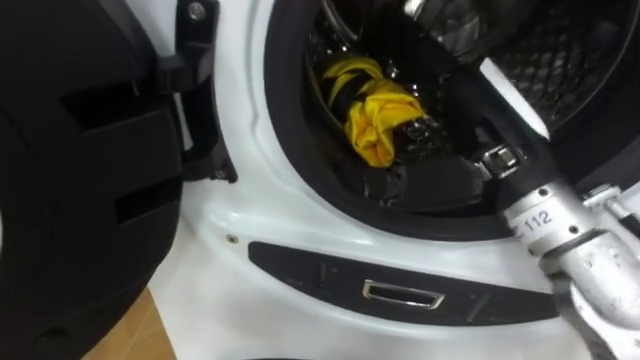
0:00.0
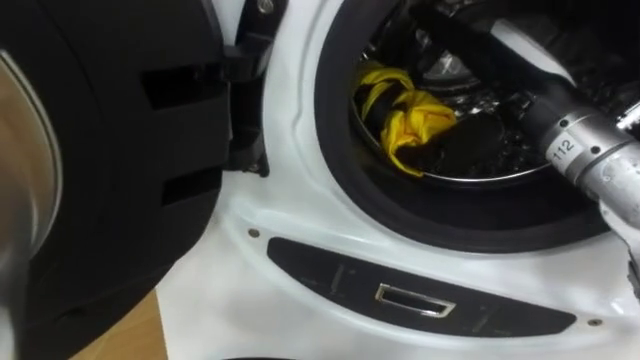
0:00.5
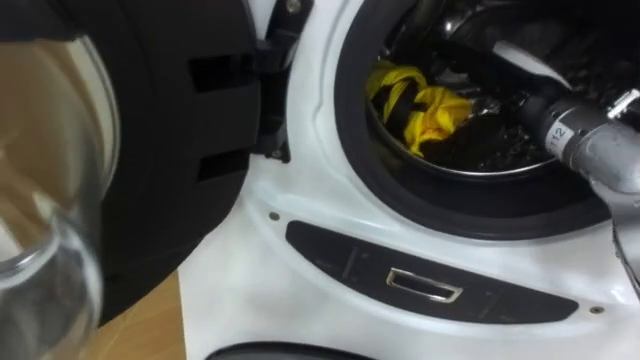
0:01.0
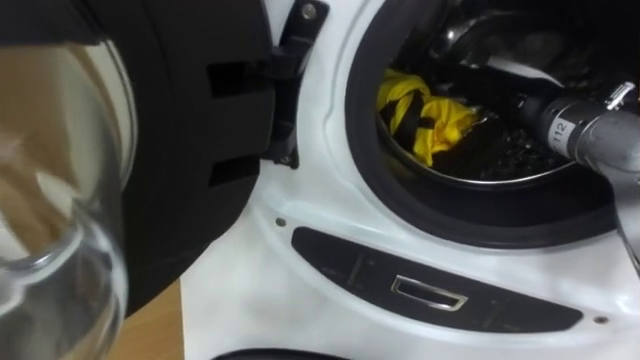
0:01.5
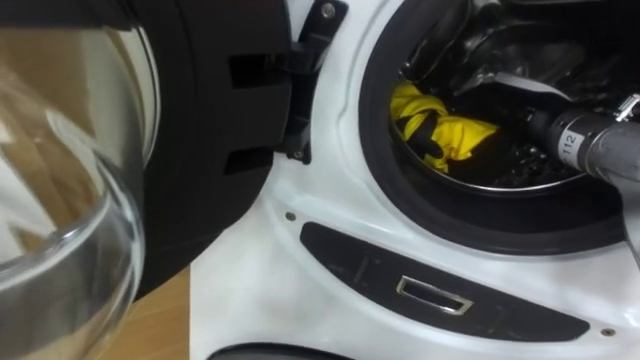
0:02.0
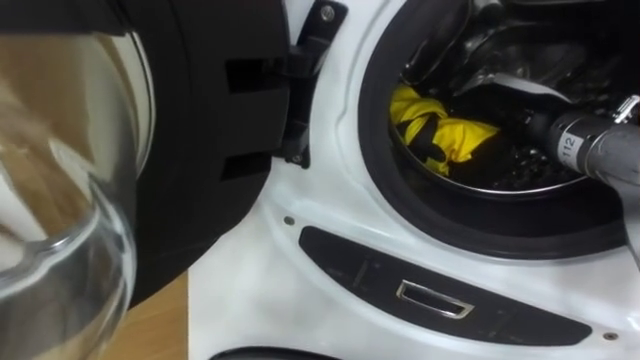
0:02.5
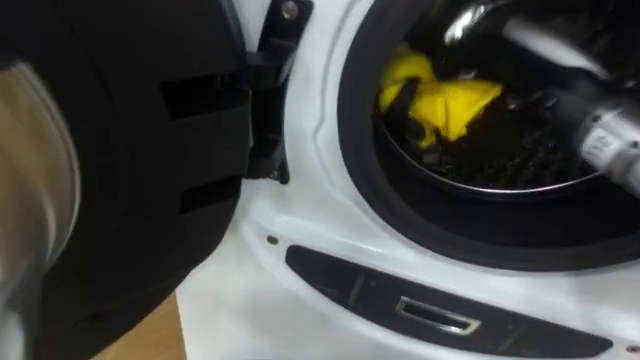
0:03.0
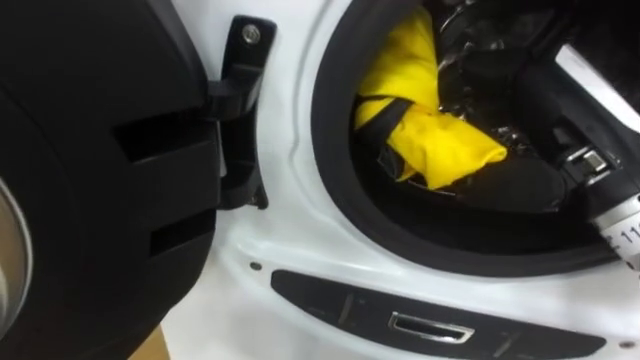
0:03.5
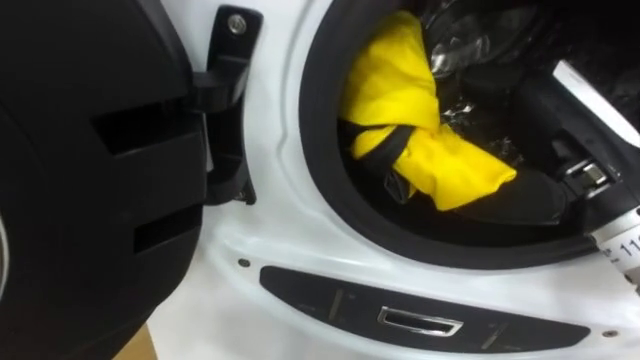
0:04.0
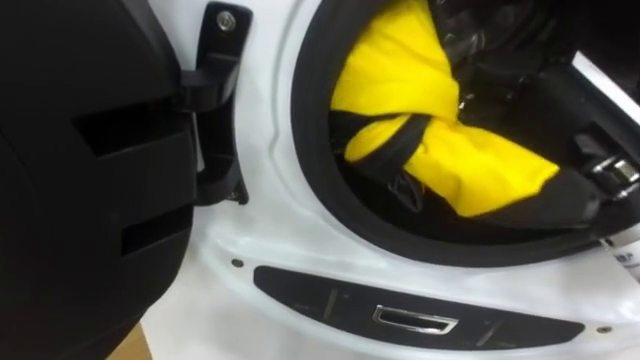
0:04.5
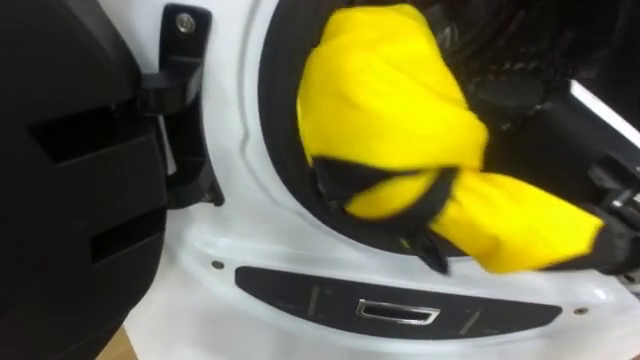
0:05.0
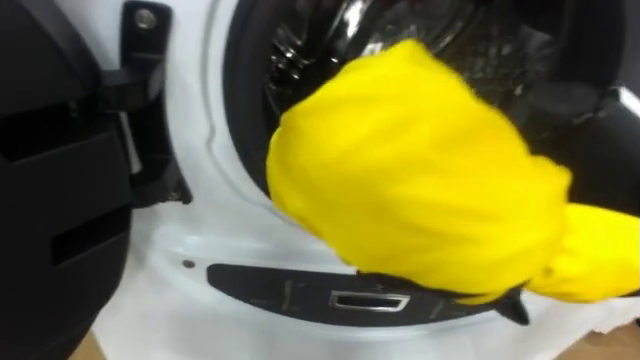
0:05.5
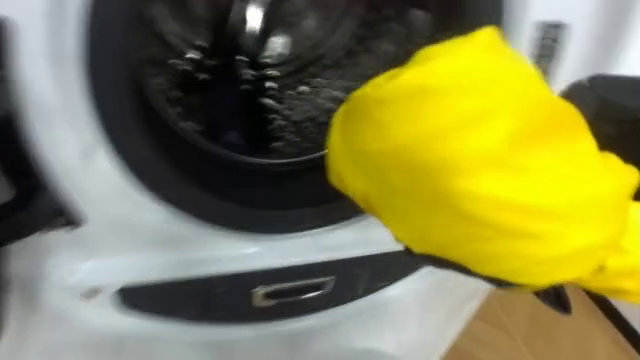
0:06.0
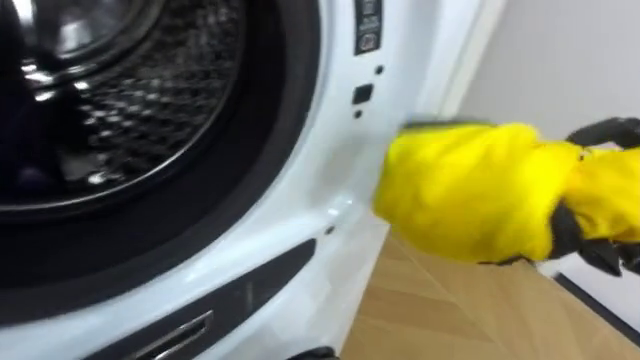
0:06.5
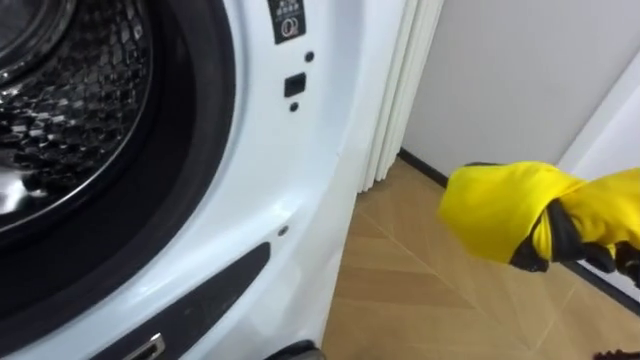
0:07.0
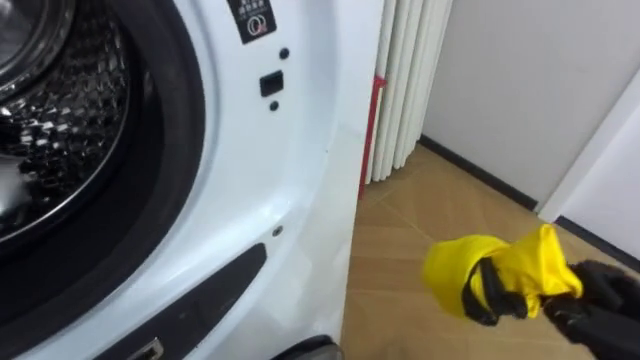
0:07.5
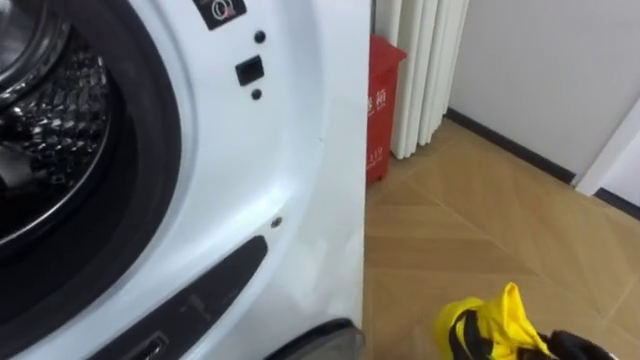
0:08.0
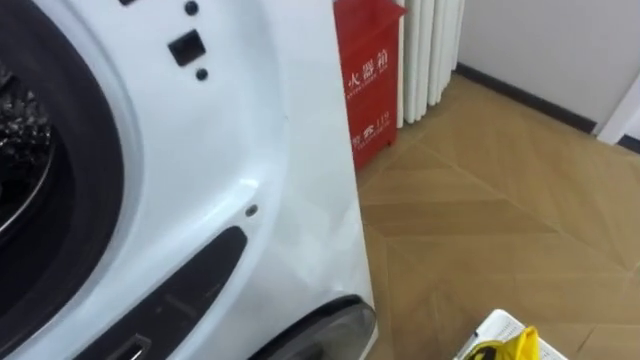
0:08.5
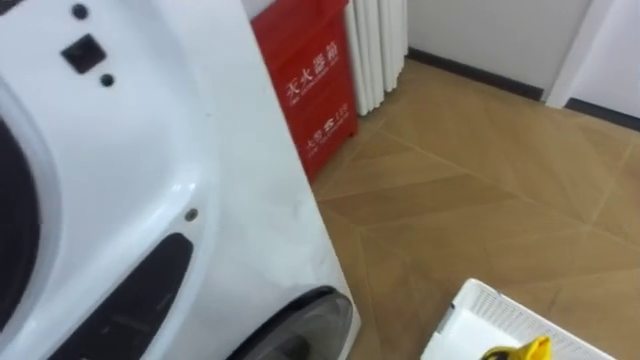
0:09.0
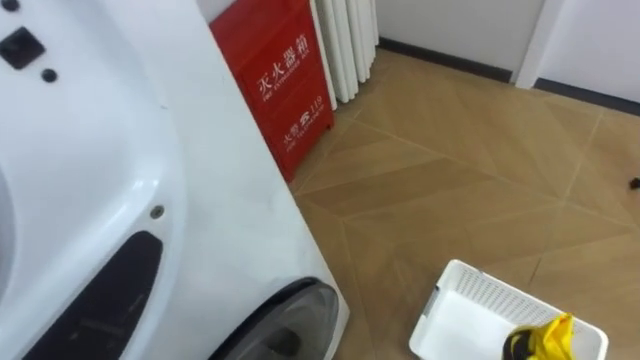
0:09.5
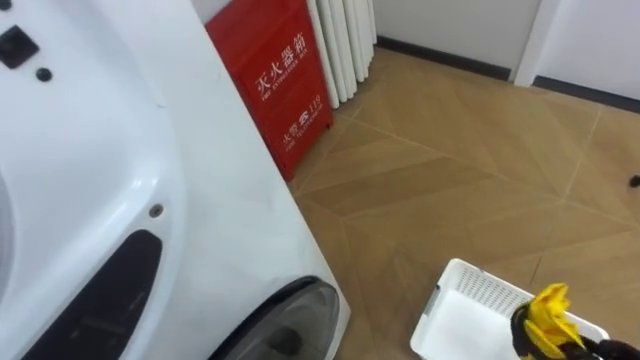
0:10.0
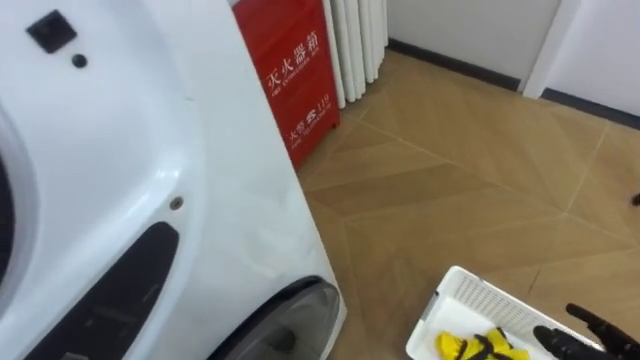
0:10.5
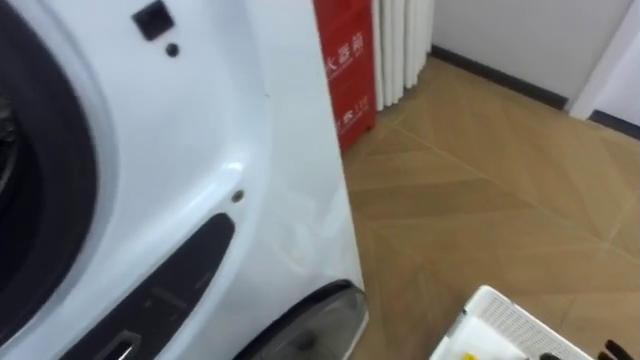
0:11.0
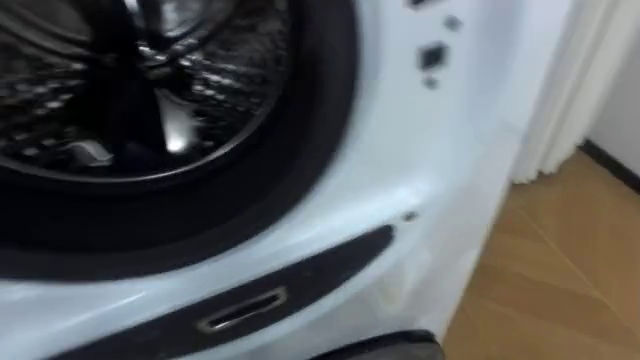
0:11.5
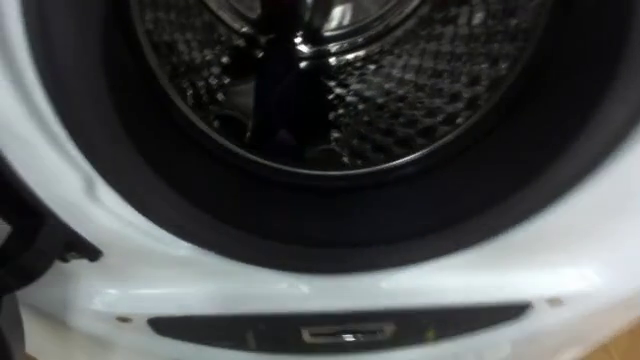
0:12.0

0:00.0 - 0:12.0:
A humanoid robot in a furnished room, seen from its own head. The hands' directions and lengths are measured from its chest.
Task of the whole recording: Open the washing machine door, take out the yellow clothes, place them in the box on the right, and close the washing machine door.
0:00.0 - 0:02.0: The right hand shifts some 10 cm forward and to the right, and closes.
0:02.0 - 0:04.0: The right hand heads backward and upward, covering some 15 cm.
0:06.0 - 0:08.0: The robot turns to its right by some 20 degrees.

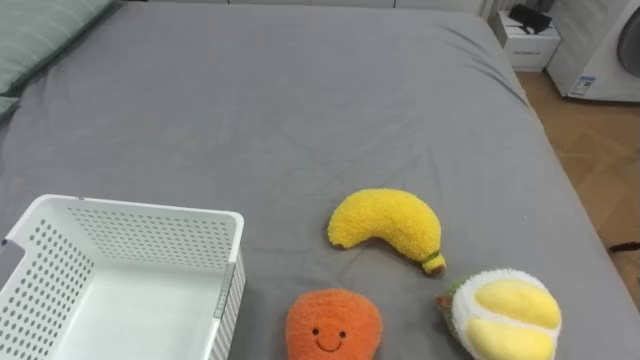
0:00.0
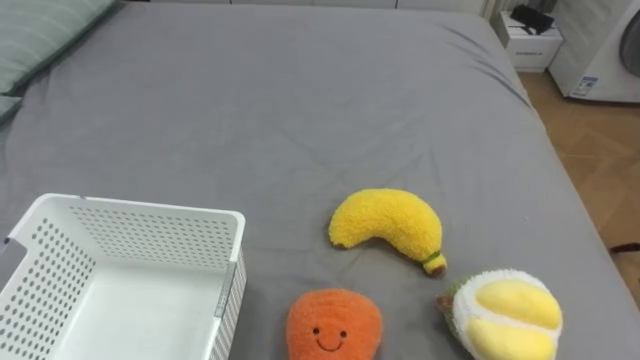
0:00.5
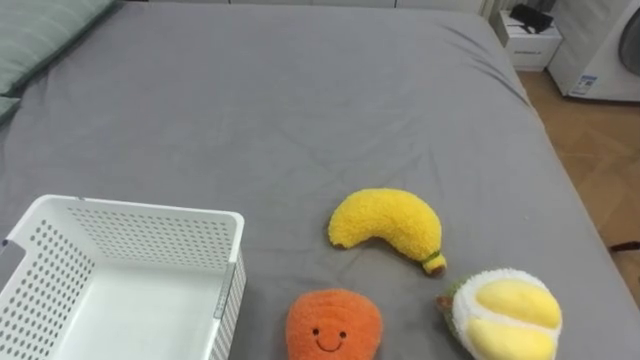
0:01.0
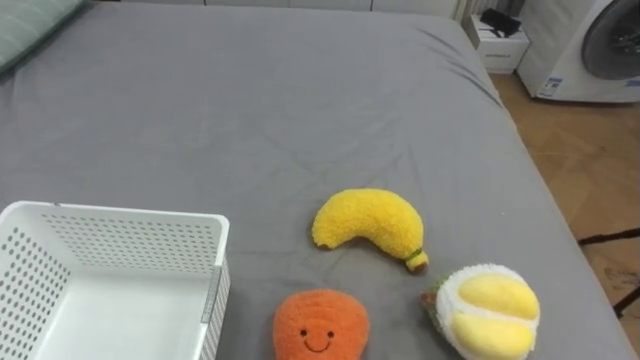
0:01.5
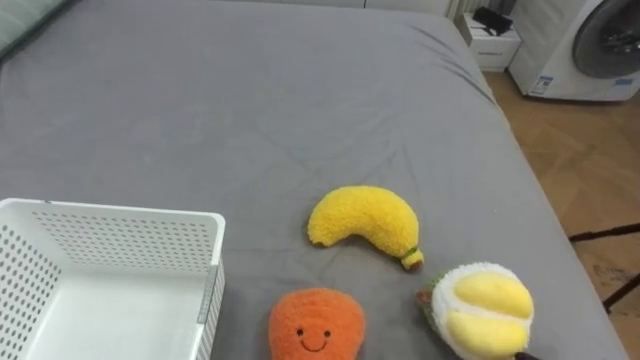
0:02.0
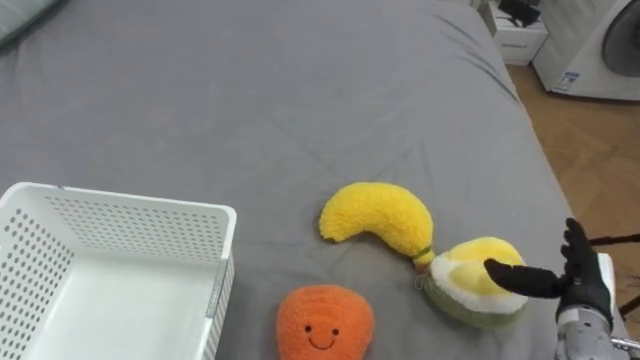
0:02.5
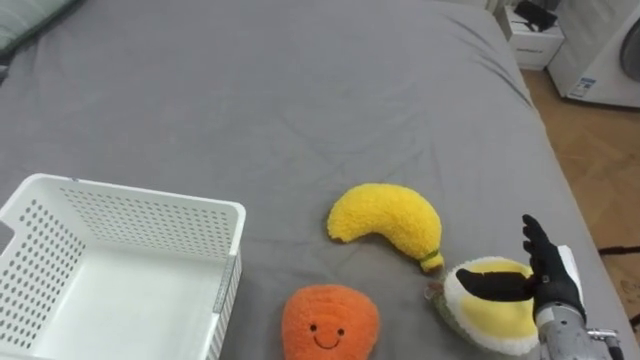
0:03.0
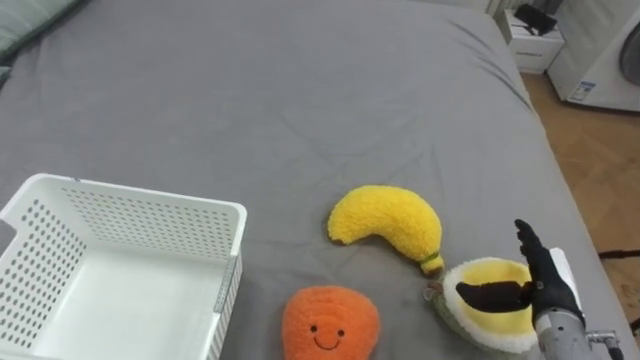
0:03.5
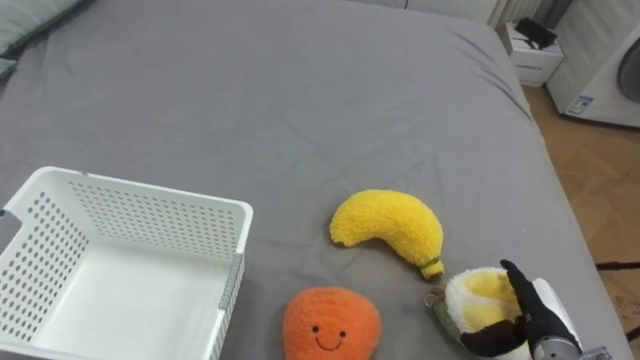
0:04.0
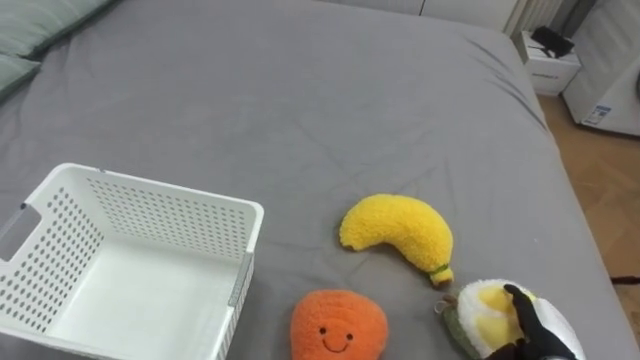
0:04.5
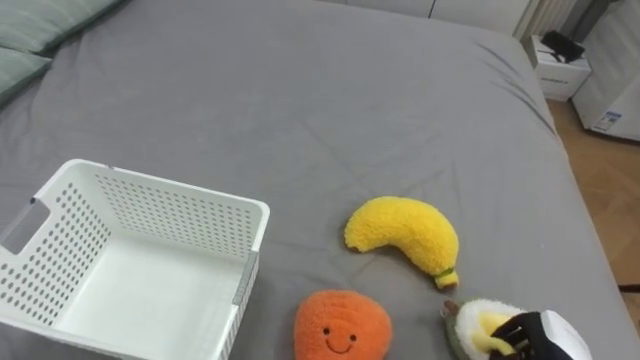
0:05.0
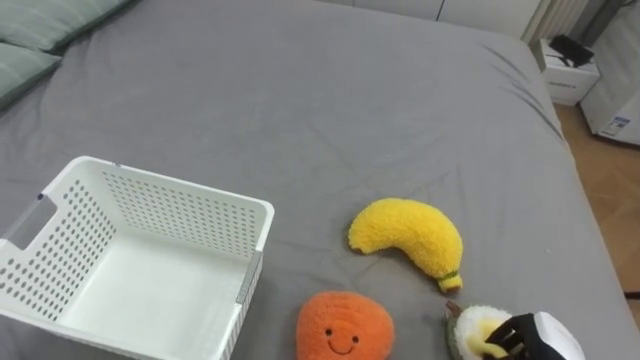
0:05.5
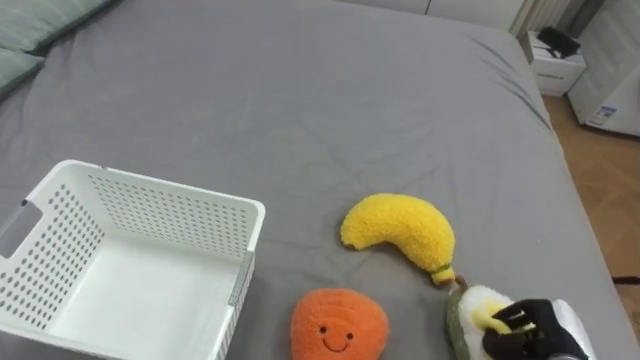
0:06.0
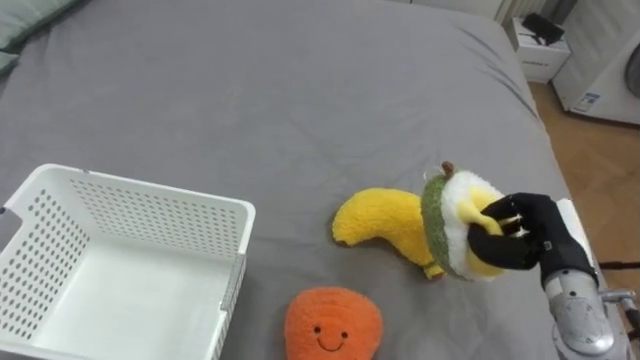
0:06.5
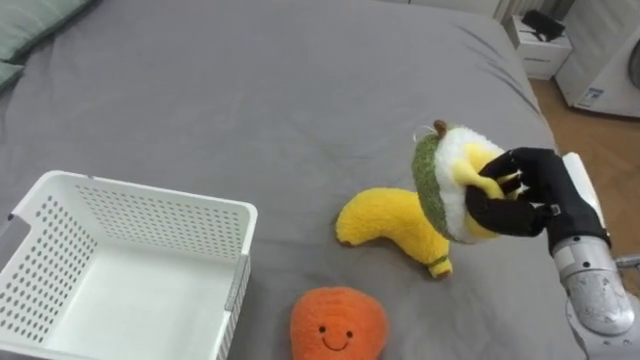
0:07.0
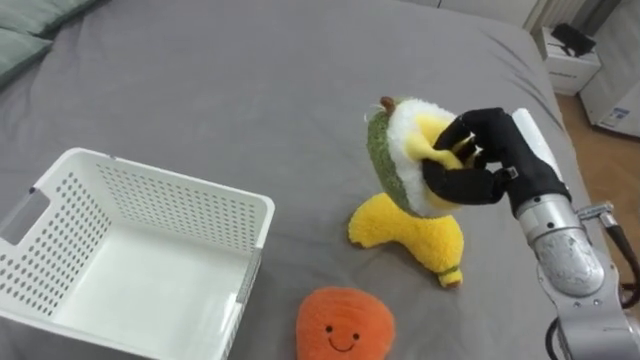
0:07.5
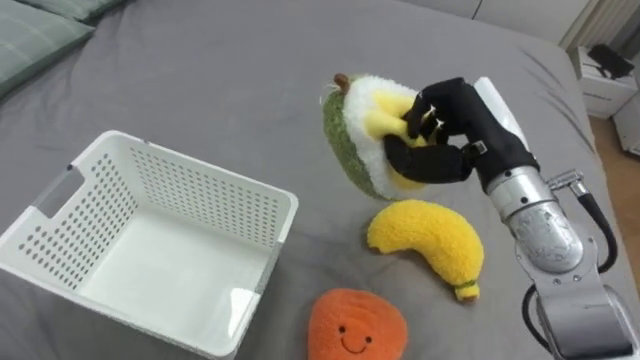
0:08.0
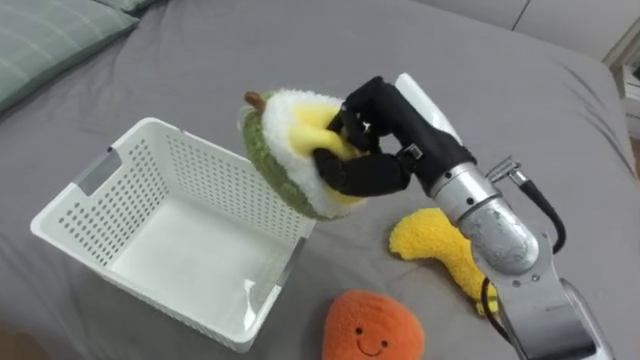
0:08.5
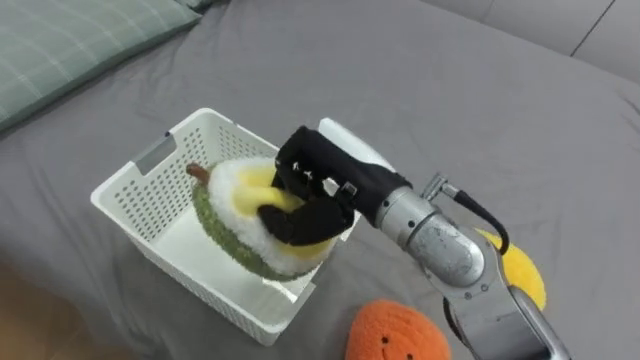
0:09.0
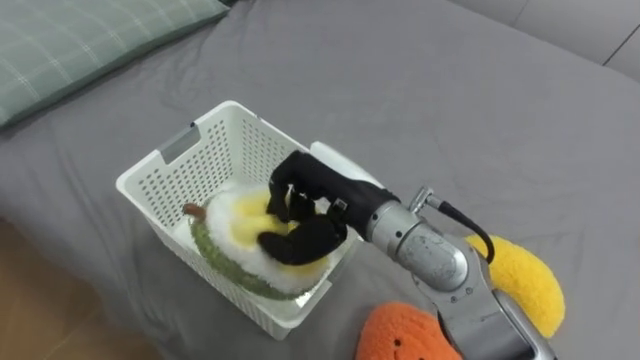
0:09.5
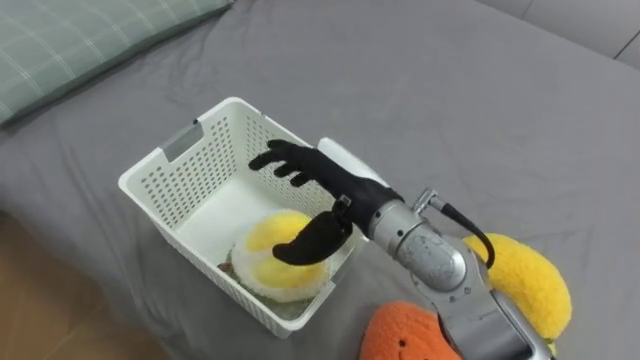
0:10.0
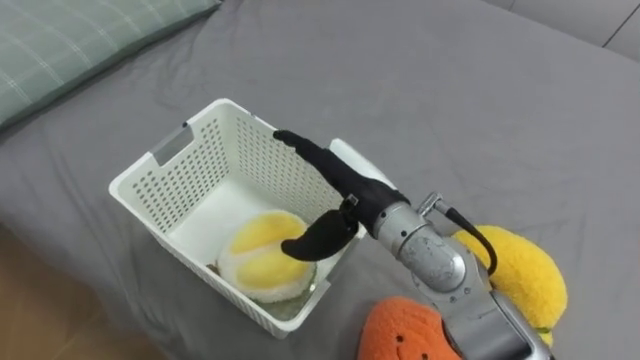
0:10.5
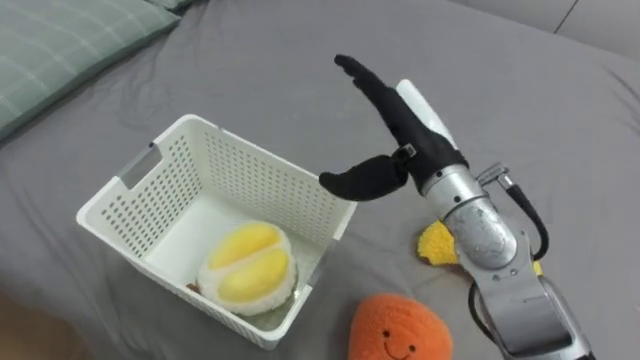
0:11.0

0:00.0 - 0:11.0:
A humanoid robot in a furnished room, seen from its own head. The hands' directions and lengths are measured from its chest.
Task of the whole recording: Put the toys on the bed into the basket on the left.
0:03.5 - 0:05.5: The right hand travels downward and backward by about 10 cm, and closes its fingers.
0:05.5 - 0:07.5: The right hand travels upward and forward by roughly 30 cm.
0:07.5 - 0:09.0: The right hand moves to the left, roughly 20 cm.
0:09.0 - 0:11.0: The right hand shifts approximately 5 cm to the right, and opens.
